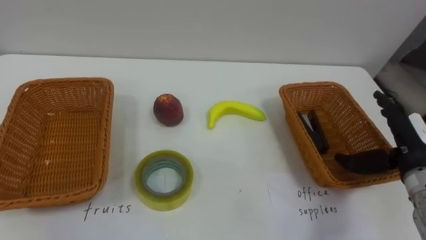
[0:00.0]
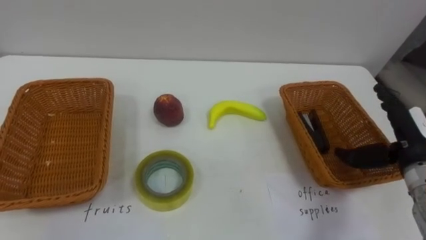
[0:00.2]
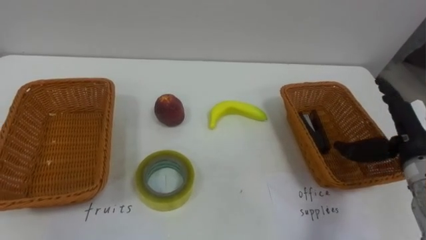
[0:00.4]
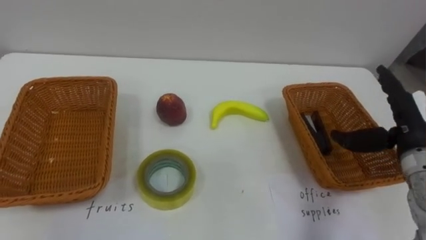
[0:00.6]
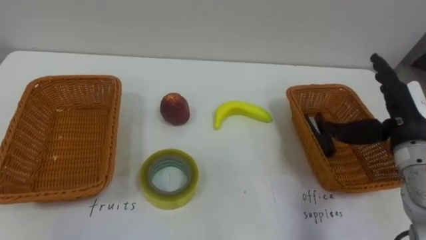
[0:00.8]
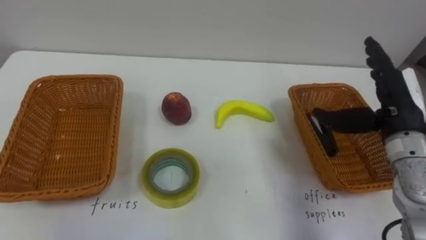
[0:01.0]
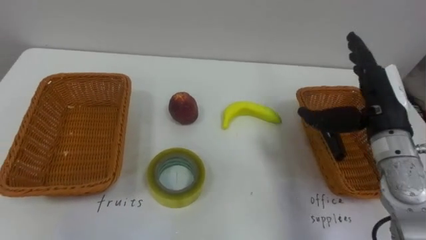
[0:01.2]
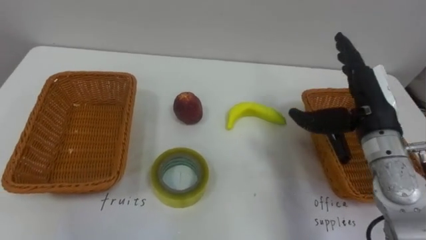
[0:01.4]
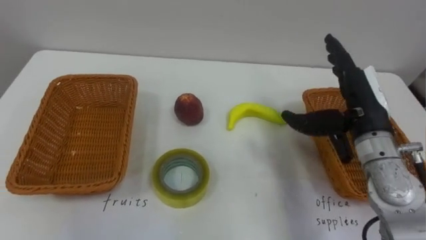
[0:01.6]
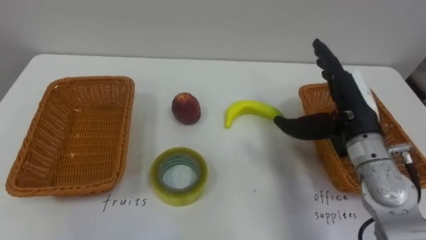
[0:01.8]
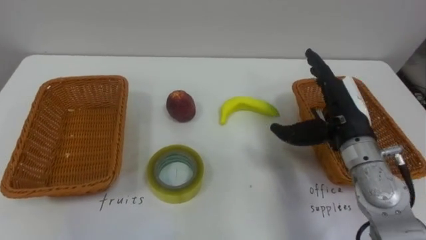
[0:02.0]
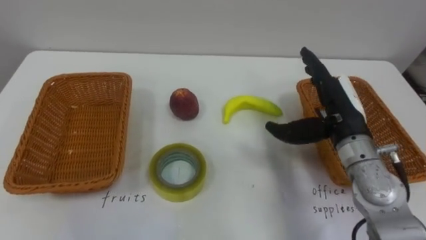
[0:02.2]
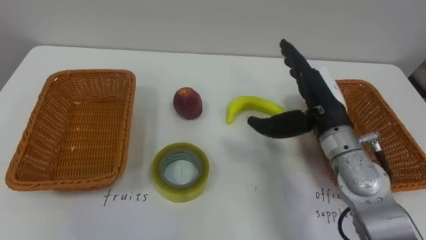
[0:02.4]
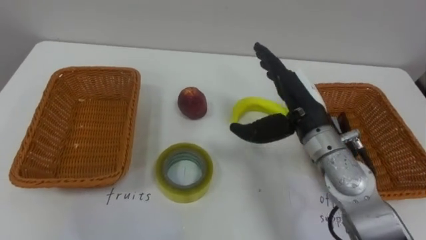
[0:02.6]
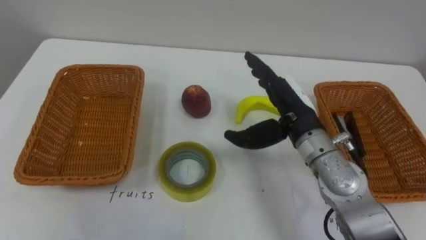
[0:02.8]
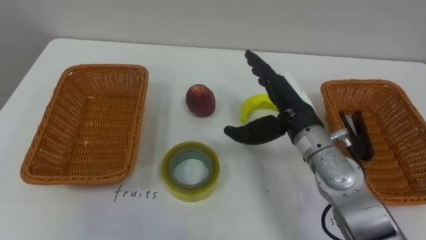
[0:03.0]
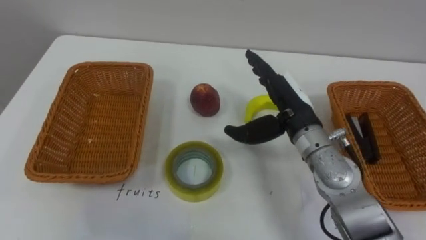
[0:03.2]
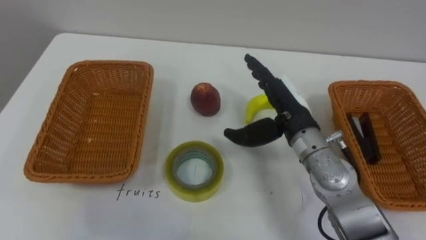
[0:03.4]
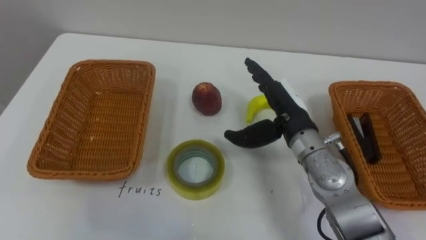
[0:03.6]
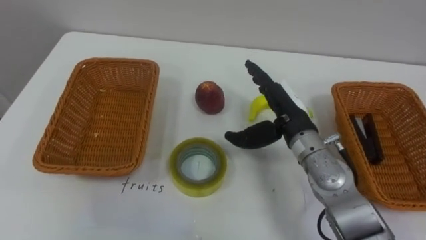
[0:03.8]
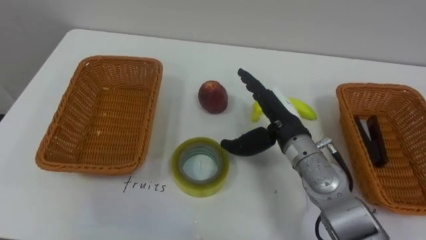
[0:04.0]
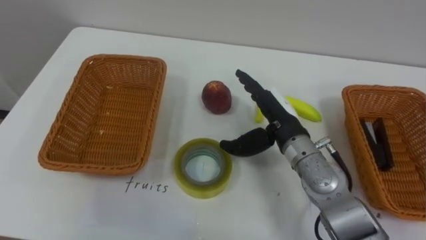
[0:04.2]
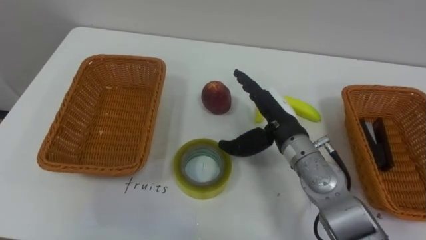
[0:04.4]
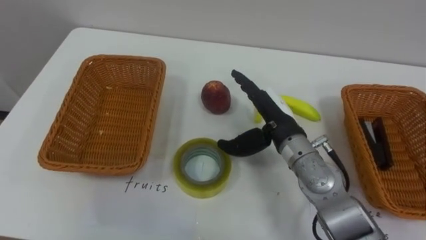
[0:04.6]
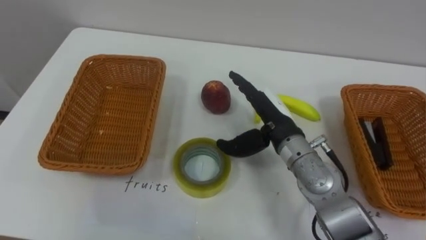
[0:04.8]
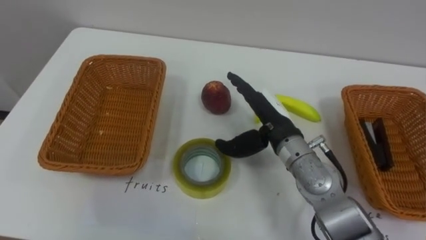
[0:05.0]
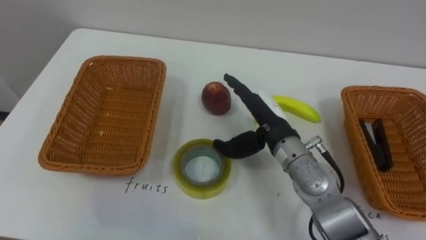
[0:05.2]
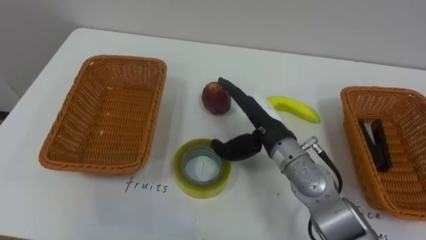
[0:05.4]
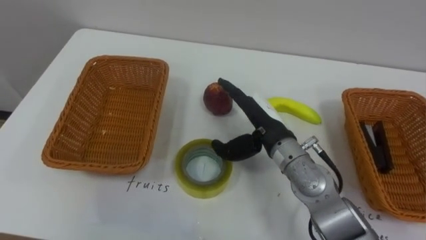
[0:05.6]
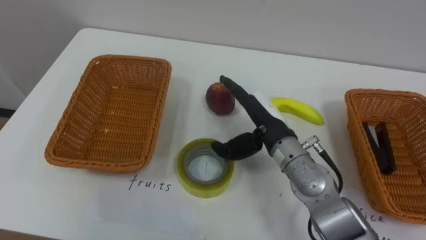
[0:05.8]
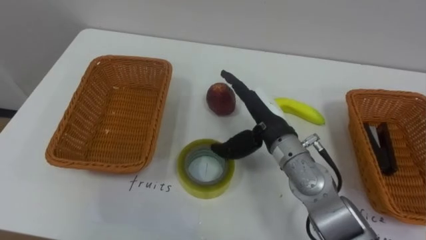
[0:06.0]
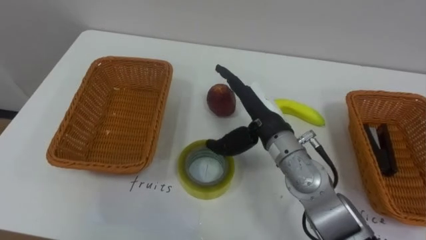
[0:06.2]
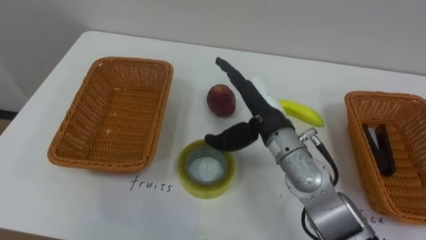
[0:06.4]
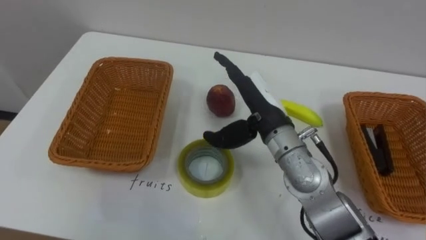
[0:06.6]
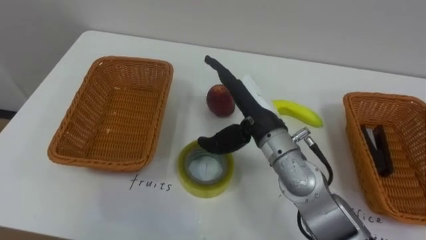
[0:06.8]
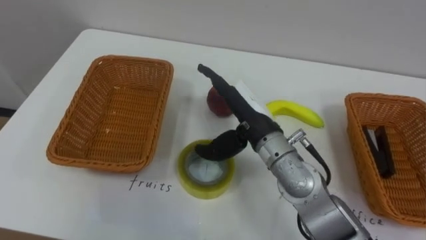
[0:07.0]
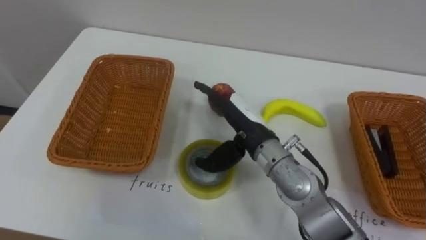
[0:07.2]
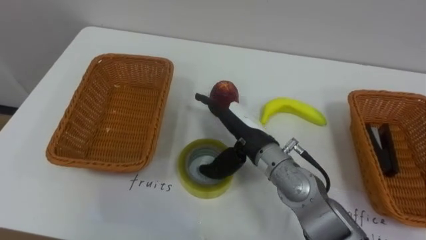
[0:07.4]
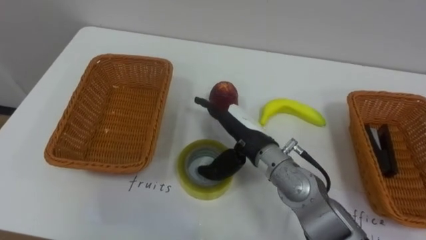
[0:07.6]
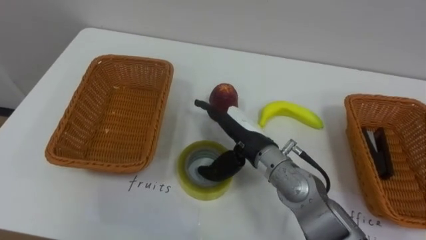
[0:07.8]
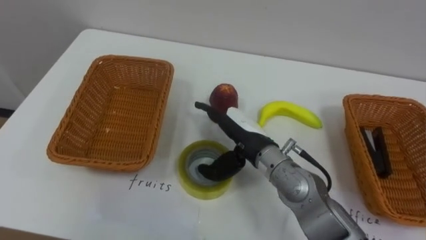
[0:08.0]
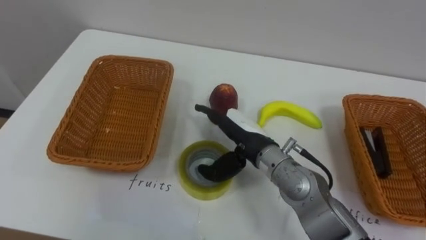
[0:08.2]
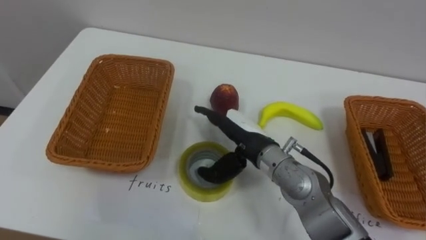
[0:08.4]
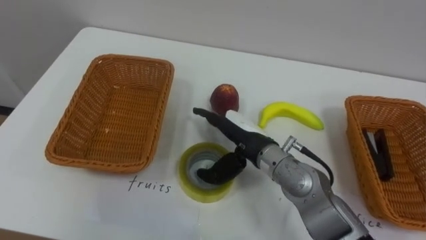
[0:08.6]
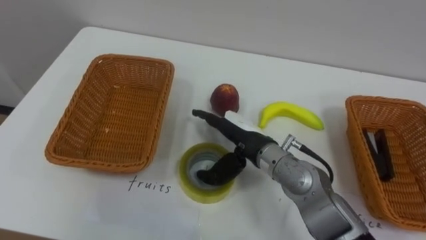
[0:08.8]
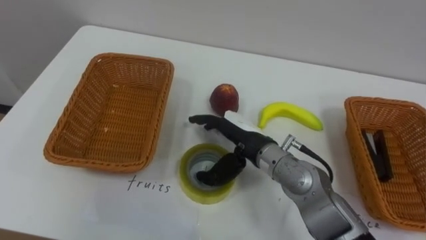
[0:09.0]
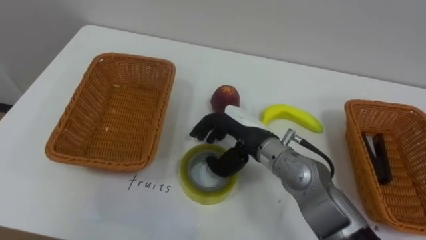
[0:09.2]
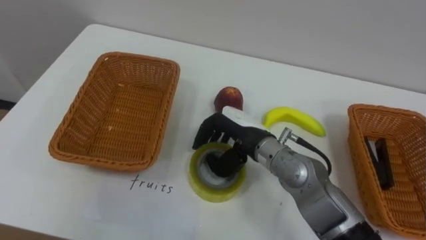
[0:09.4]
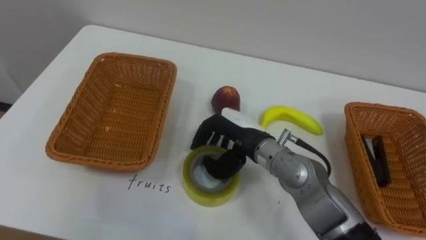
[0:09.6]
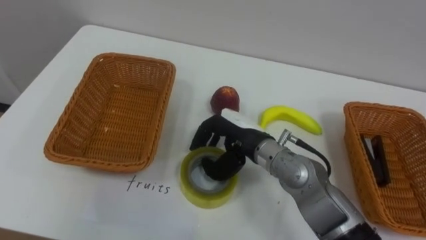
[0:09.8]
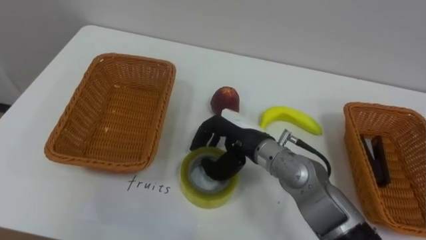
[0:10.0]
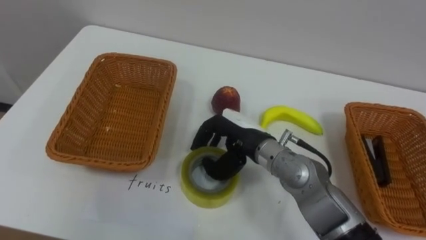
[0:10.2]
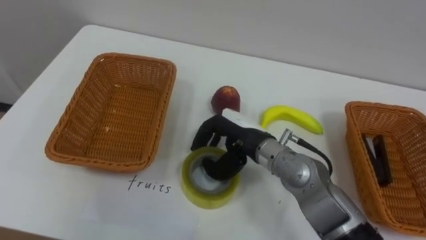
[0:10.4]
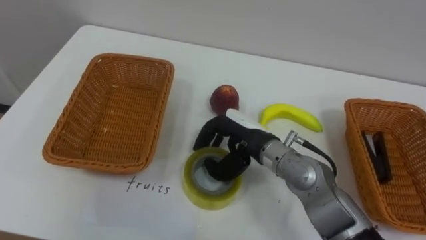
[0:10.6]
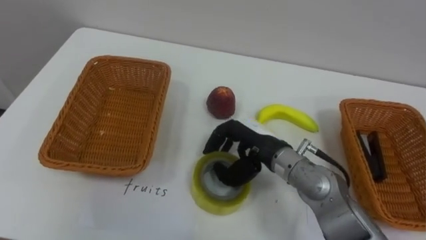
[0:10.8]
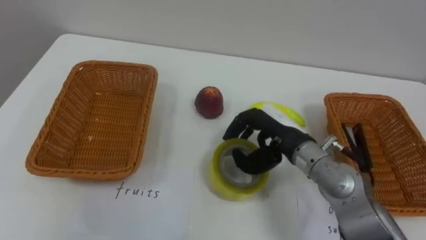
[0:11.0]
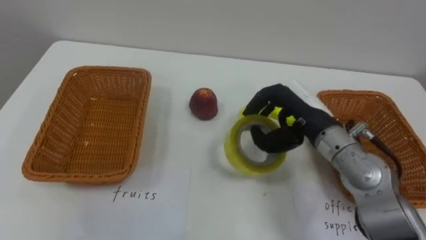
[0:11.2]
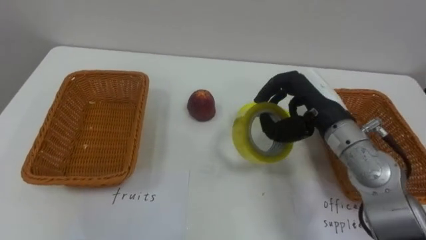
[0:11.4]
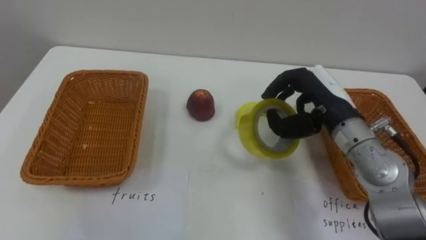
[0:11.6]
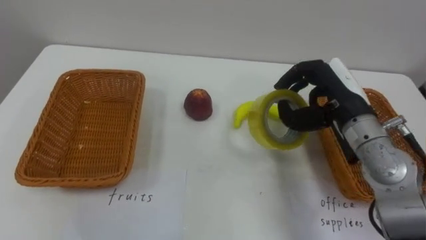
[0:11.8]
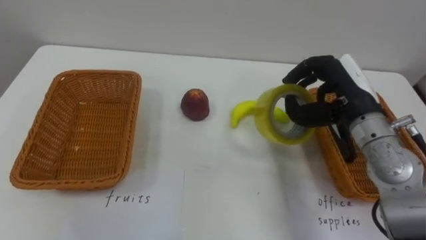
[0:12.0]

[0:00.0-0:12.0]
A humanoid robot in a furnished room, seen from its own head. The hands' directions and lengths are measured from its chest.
Task of the whole recording: Separate the items on the table and place them into the two baskets.
0:00.0 to 0:01.6: The right hand shifts roughly 10 cm to the left and upward.
0:01.6 to 0:03.0: The right hand is displaced to the left by approximately 10 cm.
0:09.0 to 0:10.4: The right hand closes.
0:10.4 to 0:12.0: The right hand heads to the right and upward, covering approximately 20 cm.

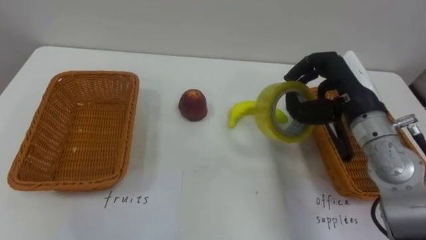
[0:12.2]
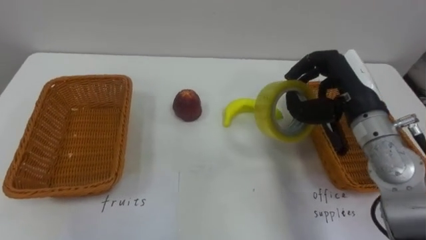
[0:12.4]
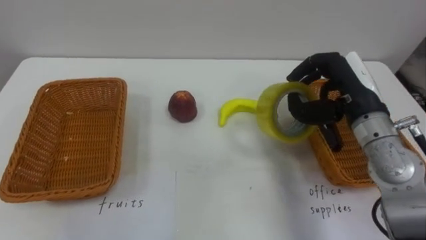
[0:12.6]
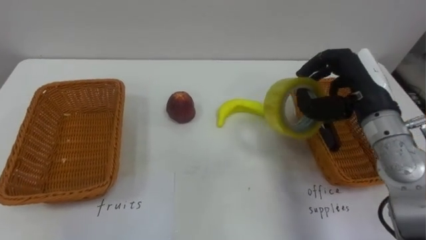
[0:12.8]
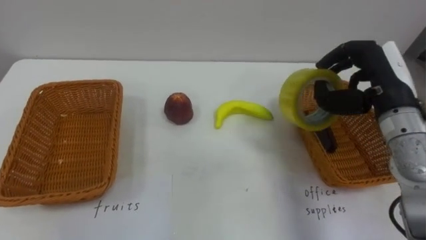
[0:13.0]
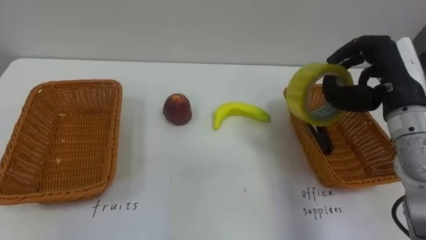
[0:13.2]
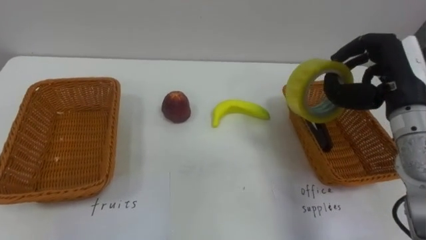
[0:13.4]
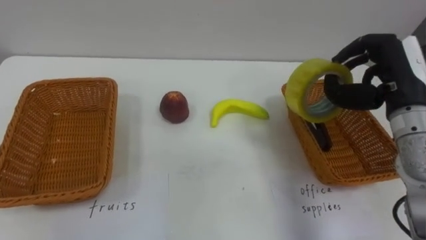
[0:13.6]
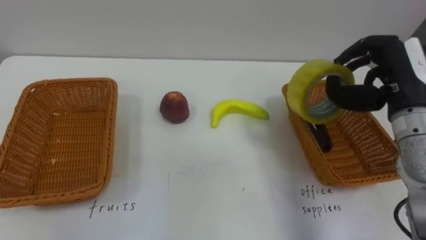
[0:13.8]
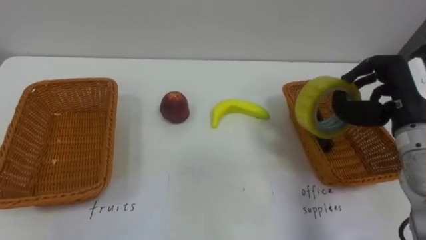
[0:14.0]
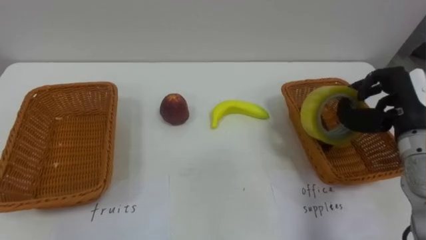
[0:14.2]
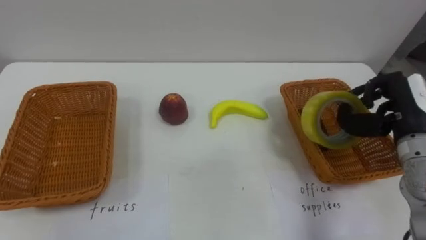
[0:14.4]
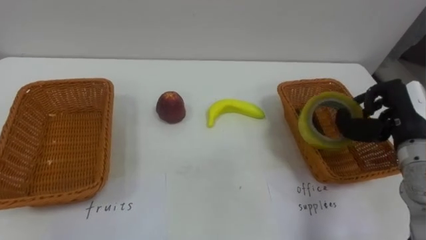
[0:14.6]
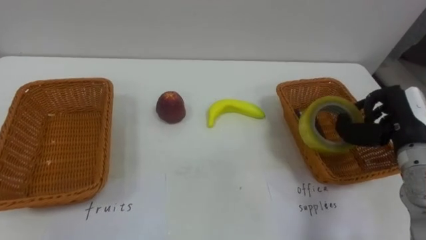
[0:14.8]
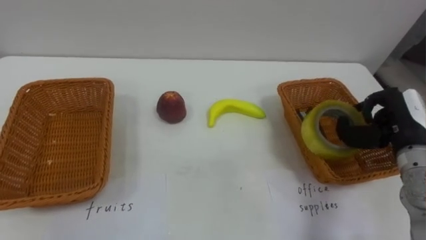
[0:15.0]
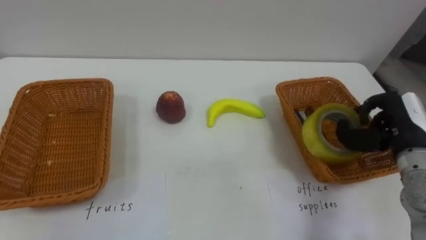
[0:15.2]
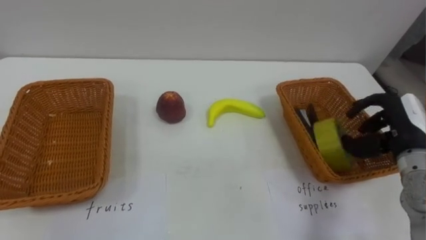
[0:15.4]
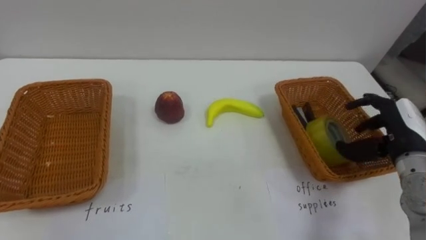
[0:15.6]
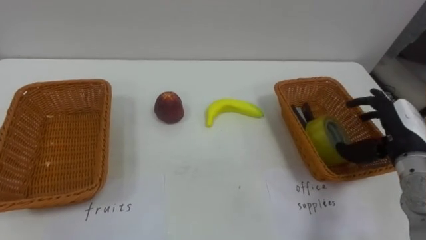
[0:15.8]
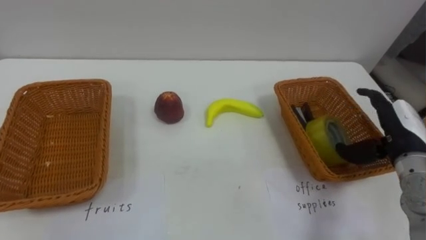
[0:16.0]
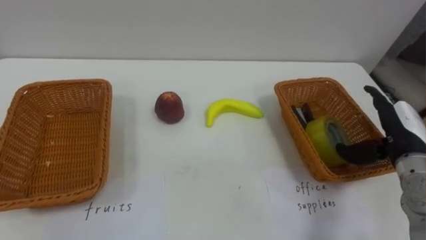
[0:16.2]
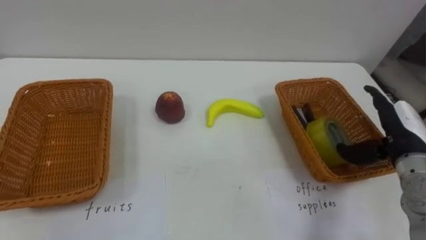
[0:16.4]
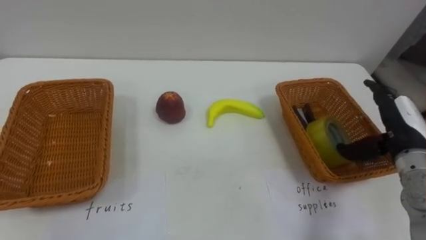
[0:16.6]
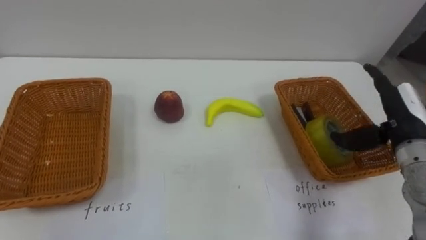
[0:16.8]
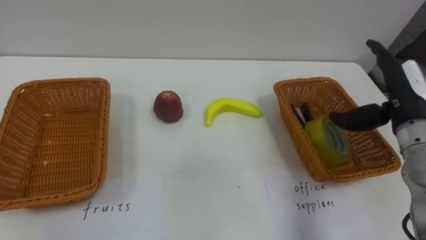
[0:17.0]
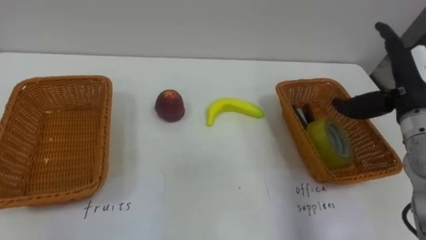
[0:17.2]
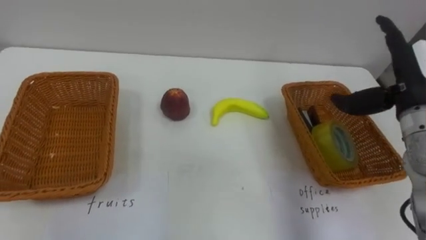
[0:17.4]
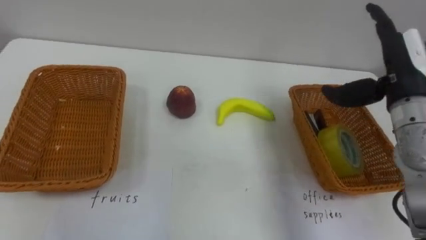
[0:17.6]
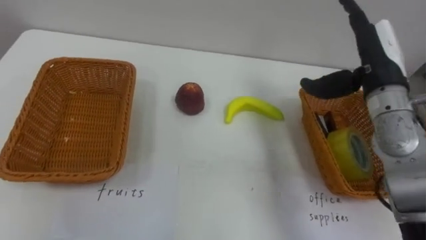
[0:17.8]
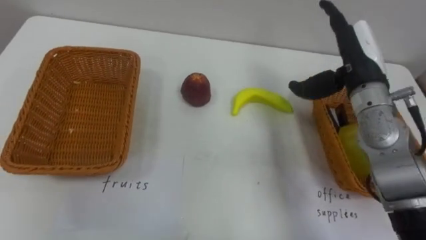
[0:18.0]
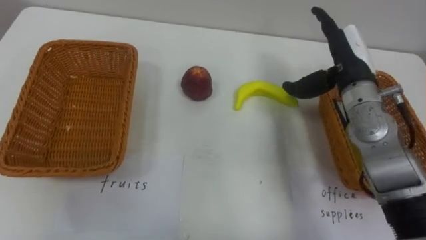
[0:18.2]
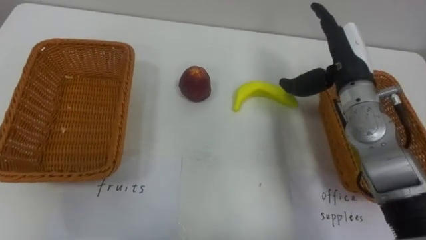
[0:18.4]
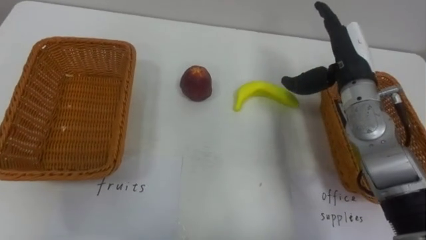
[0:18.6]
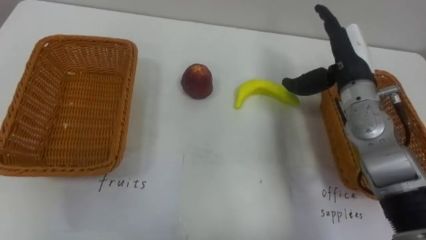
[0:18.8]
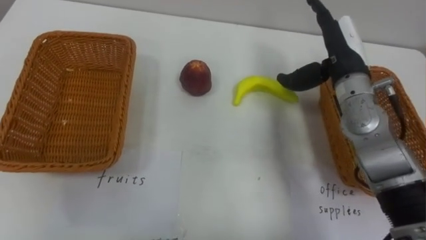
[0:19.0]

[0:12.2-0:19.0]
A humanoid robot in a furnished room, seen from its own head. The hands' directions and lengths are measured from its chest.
Task of the whole recording: Separate the items on the table and place them into the two baskets.
0:12.2 to 0:13.6: The right hand shifts about 5 cm to the right.
0:13.6 to 0:15.0: The right hand shifts roughly 10 cm downward.
0:15.0 to 0:16.2: The right hand opens its fingers.
0:16.2 to 0:17.6: The right hand goes some 10 cm upward.
0:17.6 to 0:19.0: The right hand is displaced to the left and forward by approximately 10 cm.
